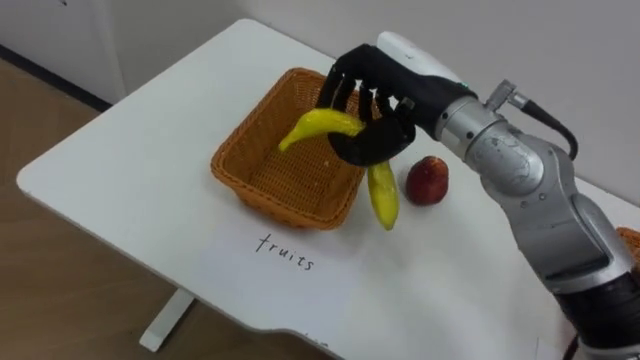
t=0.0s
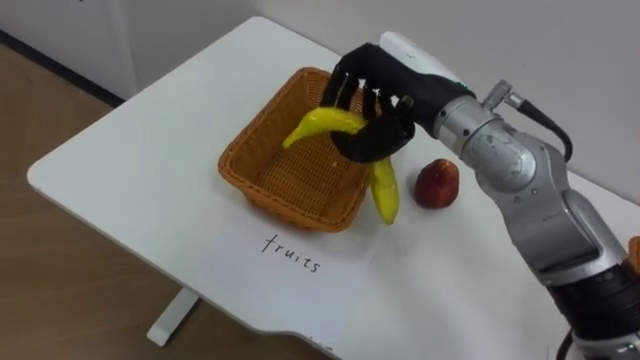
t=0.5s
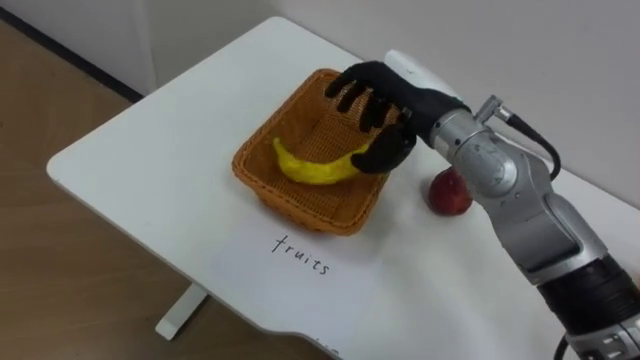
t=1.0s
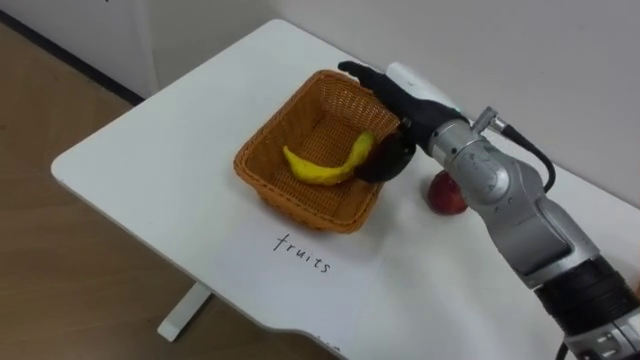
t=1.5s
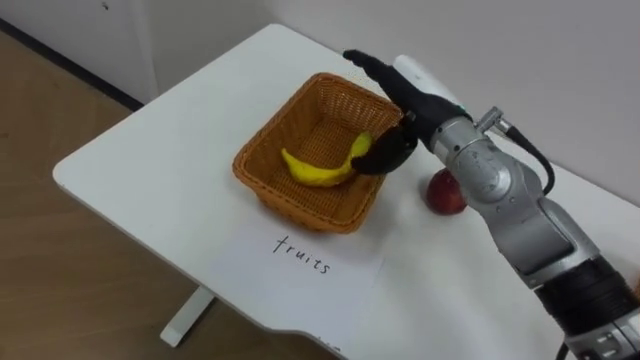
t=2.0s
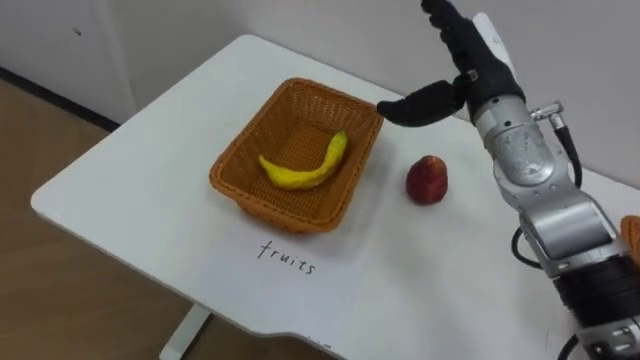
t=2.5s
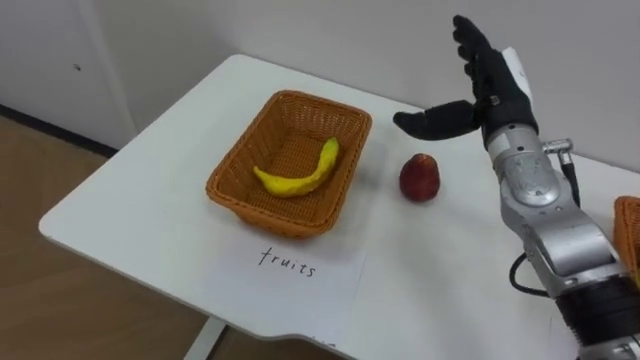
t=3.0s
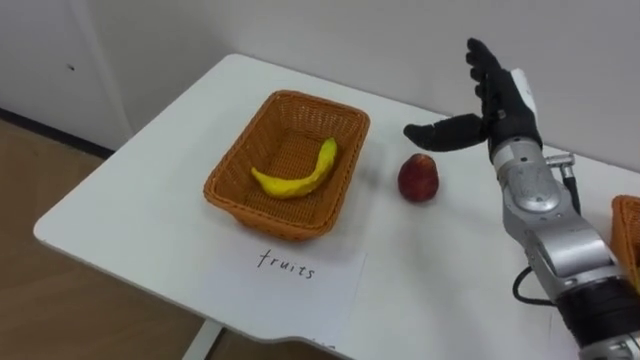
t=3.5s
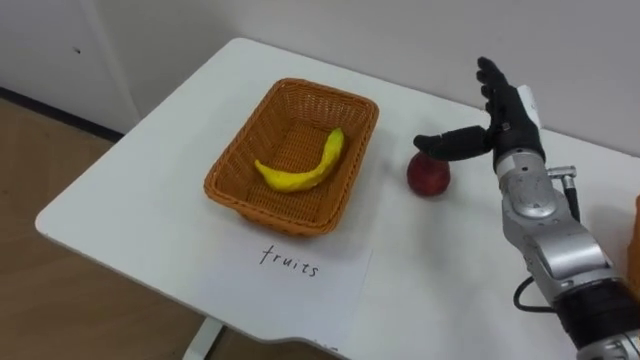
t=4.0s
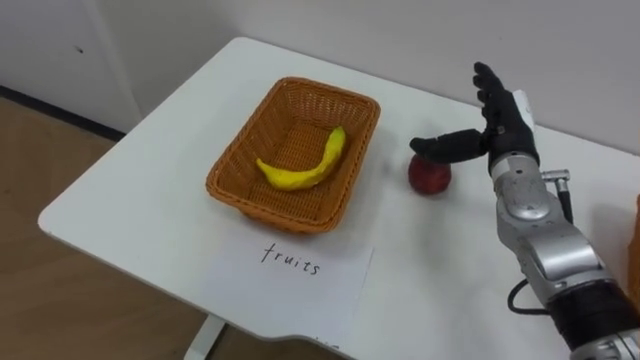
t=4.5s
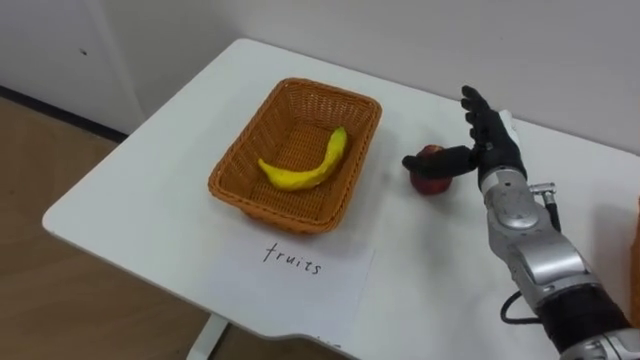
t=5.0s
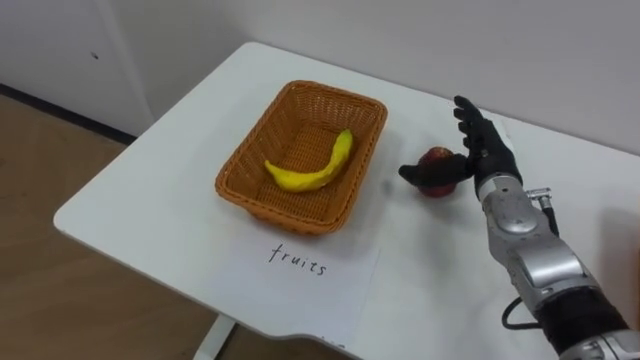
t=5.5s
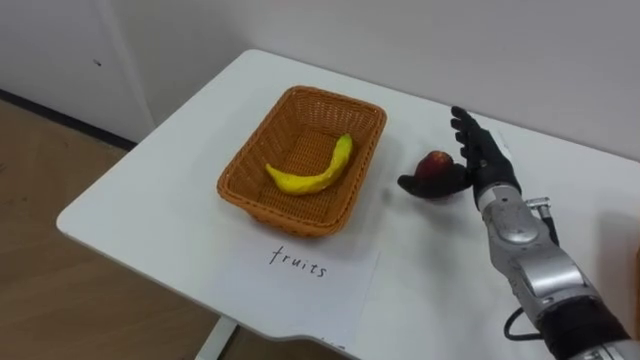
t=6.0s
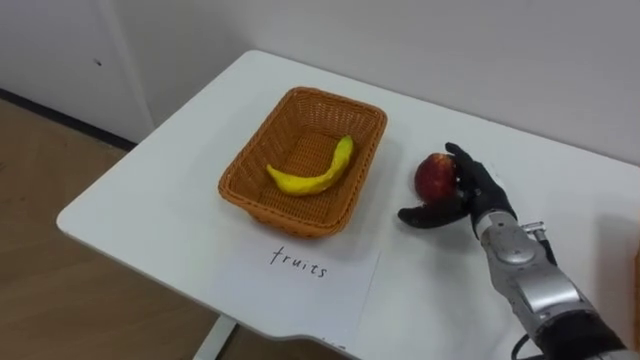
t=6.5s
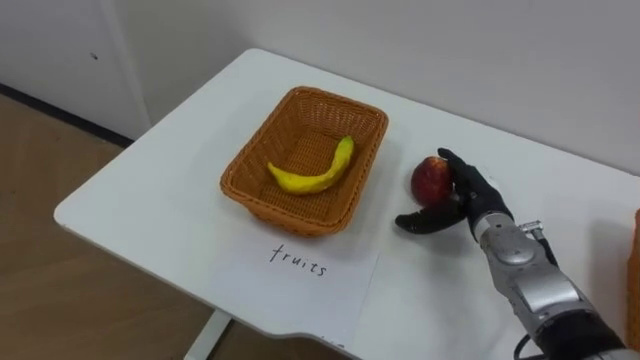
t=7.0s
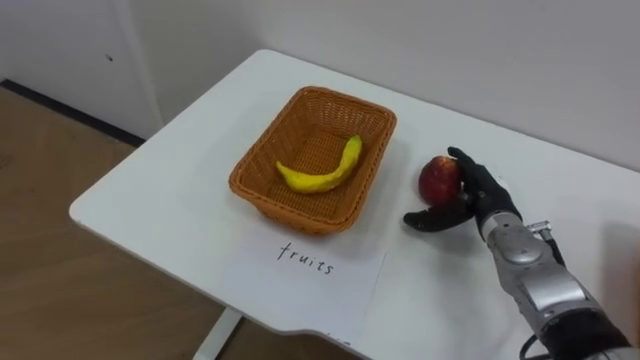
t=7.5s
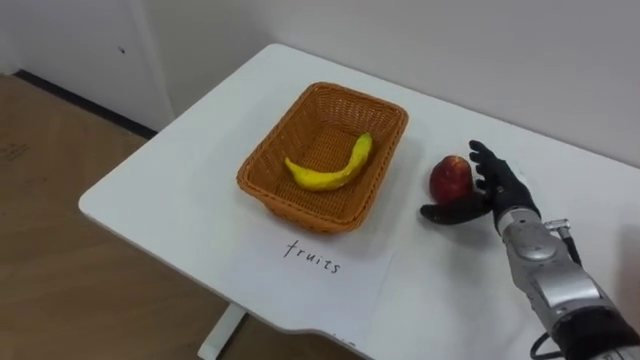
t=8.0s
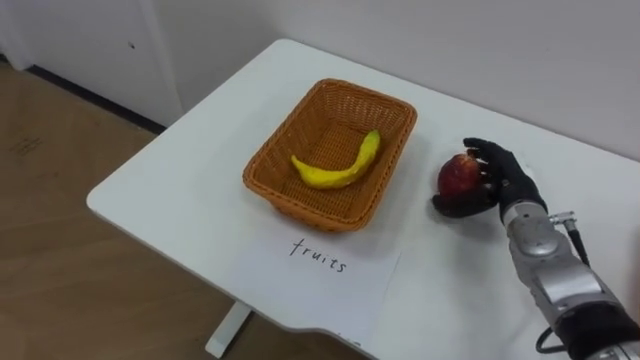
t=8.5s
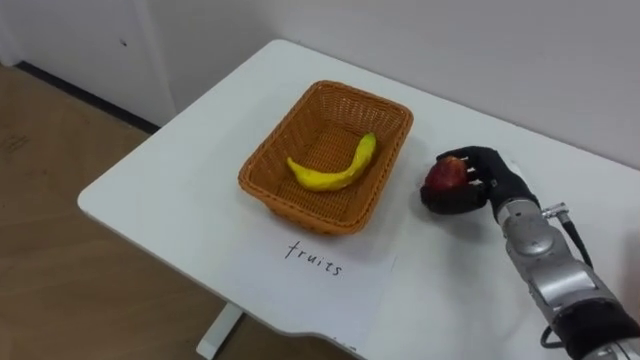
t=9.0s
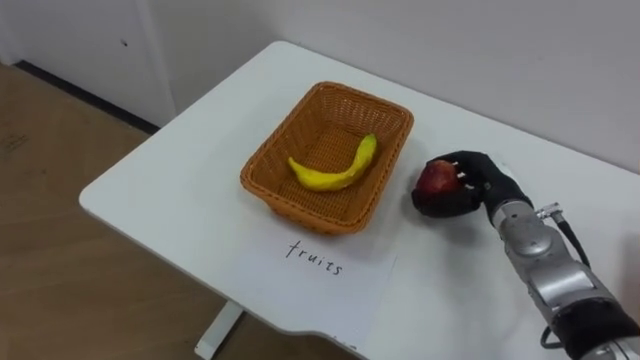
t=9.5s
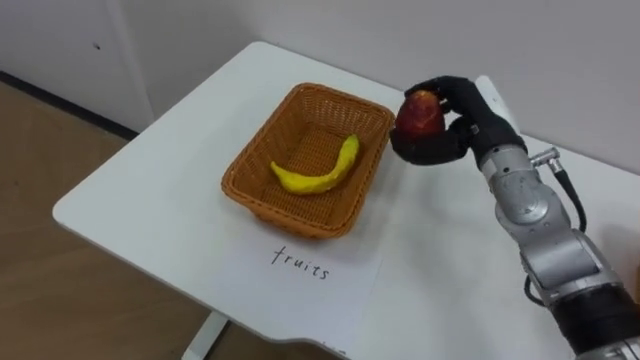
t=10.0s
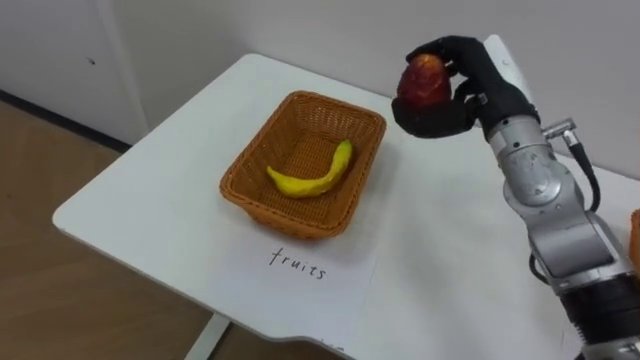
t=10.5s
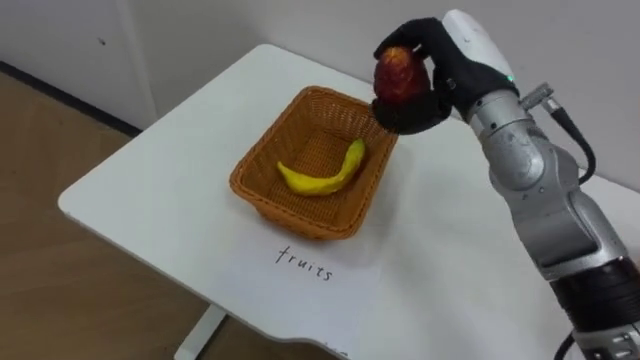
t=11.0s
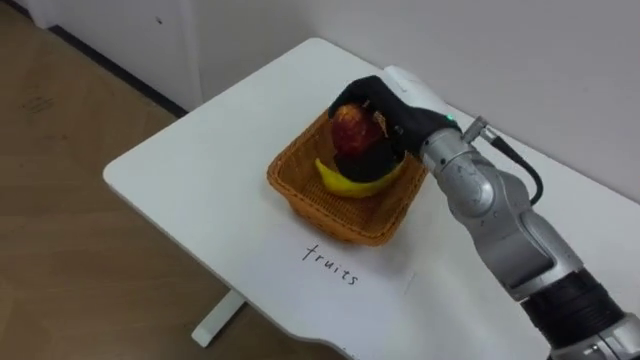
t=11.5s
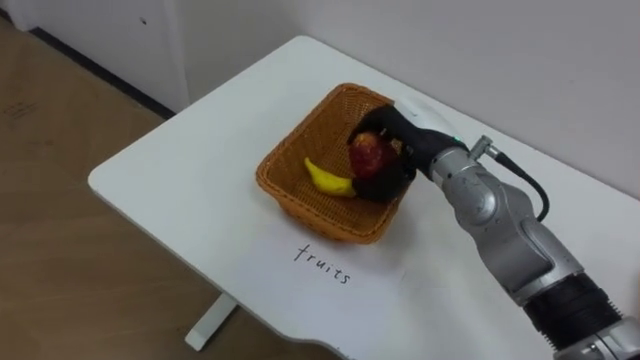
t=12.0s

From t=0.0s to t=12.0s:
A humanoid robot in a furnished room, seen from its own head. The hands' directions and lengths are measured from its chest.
Task of the whole recording: Separate the items on the table and place them into the two baskets.
From t=0.0s to t=2.0s: The right hand changes place by some 5 cm, and opens its fingers.
From t=2.0s to t=4.0s: The right hand heads to the right and downward, covering roughly 15 cm.
From t=4.0s to t=6.0s: The right hand is displaced downward by about 5 cm.
From t=6.0s to t=8.0s: The right hand moves approximately 5 cm.
From t=8.0s to t=10.0s: The right hand heads upward, covering approximately 10 cm, and closes.
From t=10.0s to t=12.0s: The right hand goes roughly 10 cm to the left.

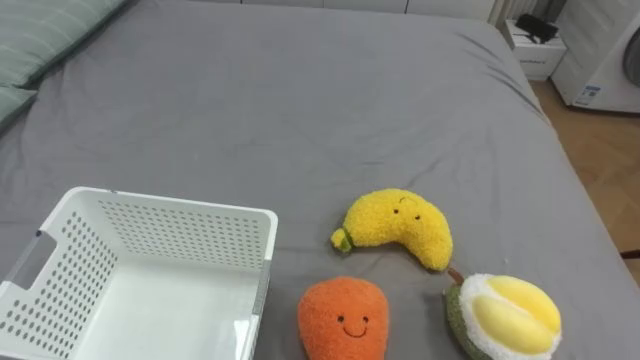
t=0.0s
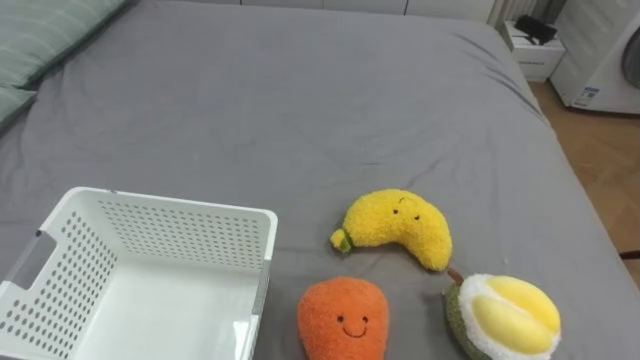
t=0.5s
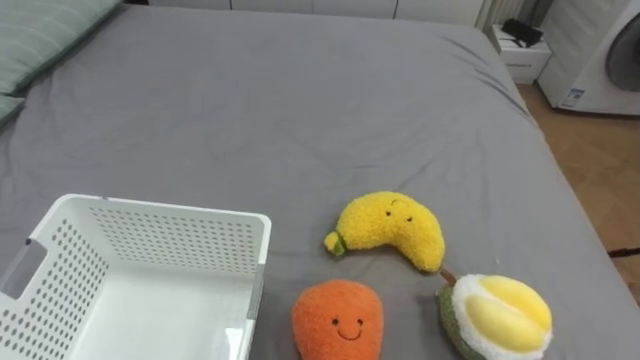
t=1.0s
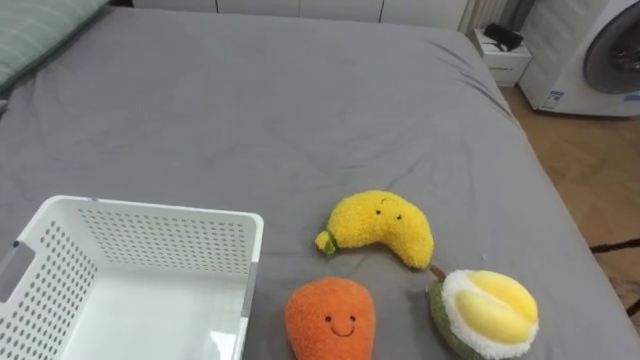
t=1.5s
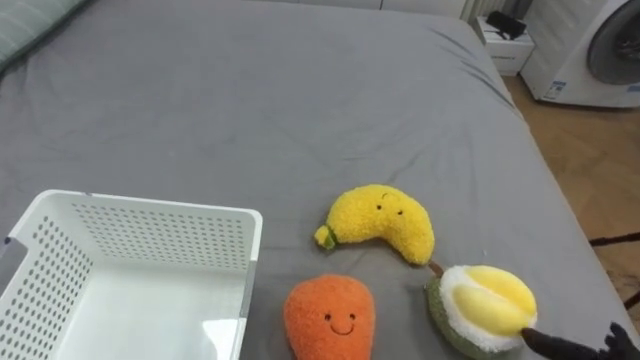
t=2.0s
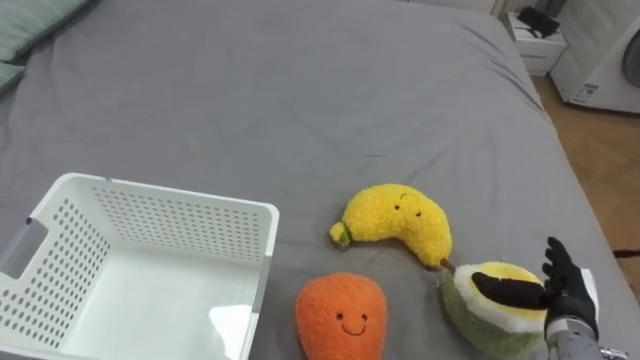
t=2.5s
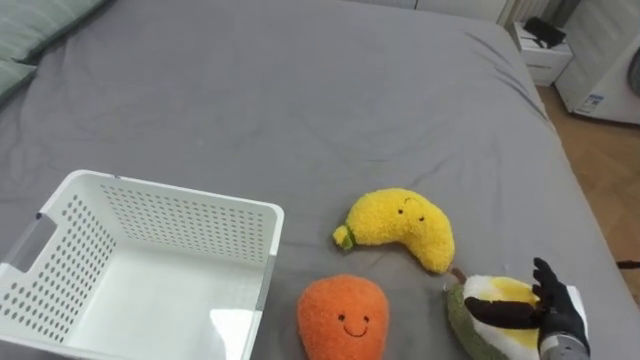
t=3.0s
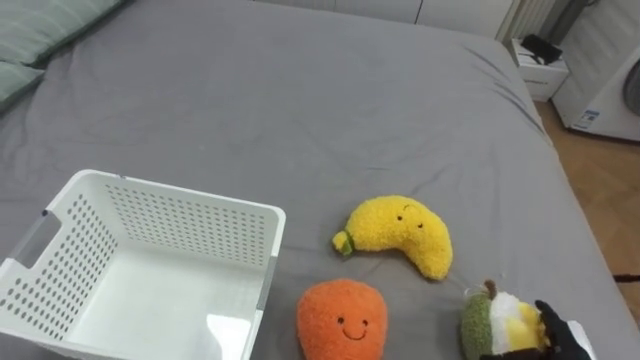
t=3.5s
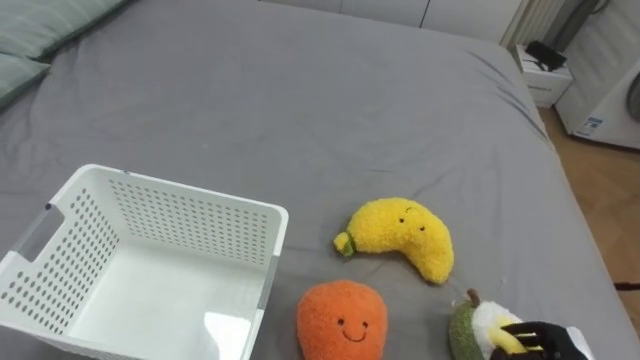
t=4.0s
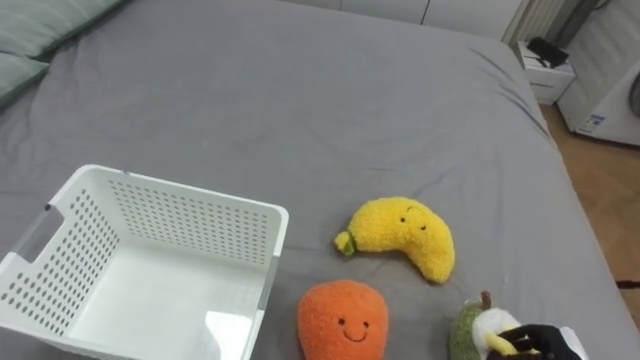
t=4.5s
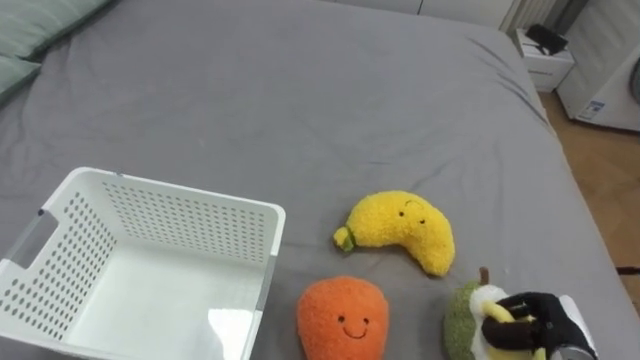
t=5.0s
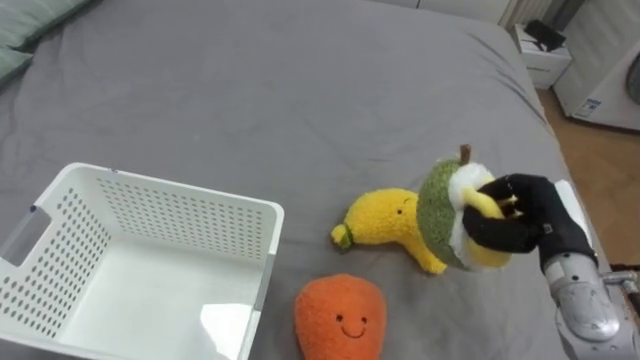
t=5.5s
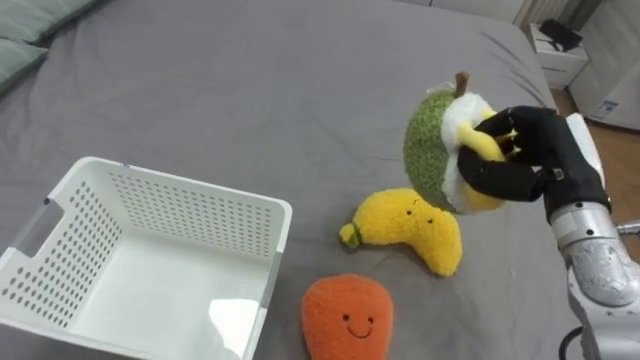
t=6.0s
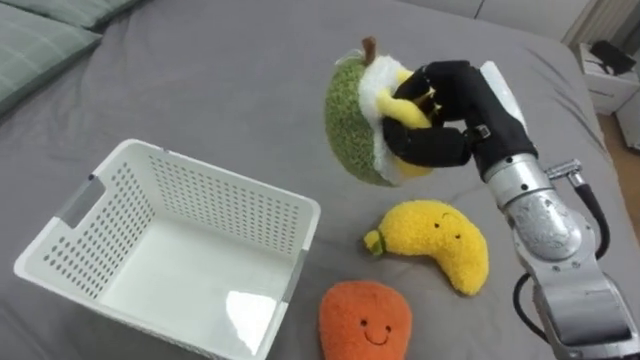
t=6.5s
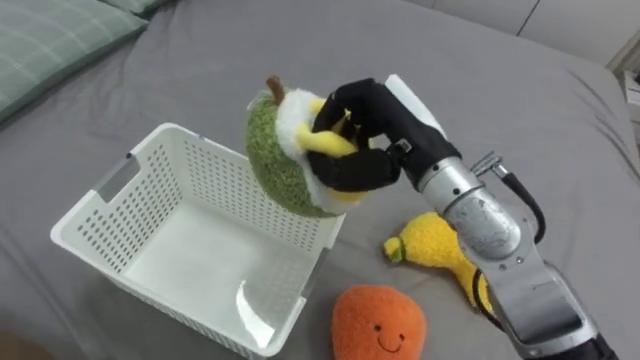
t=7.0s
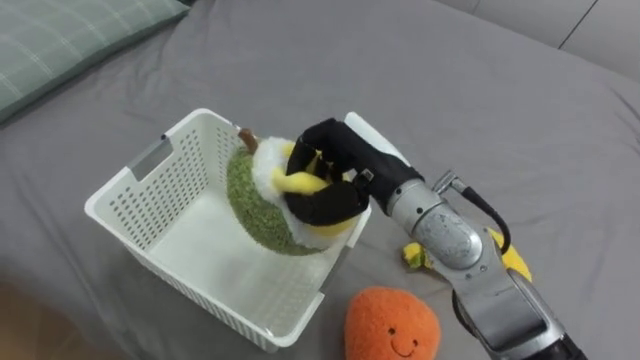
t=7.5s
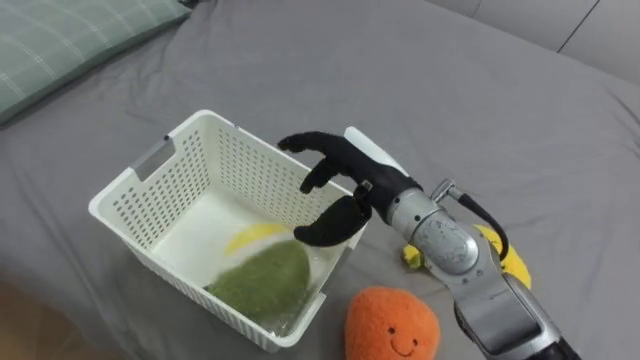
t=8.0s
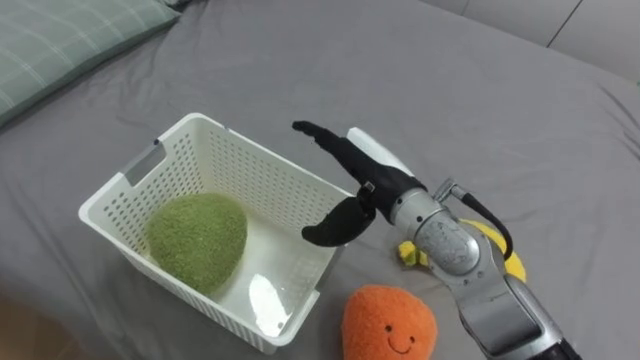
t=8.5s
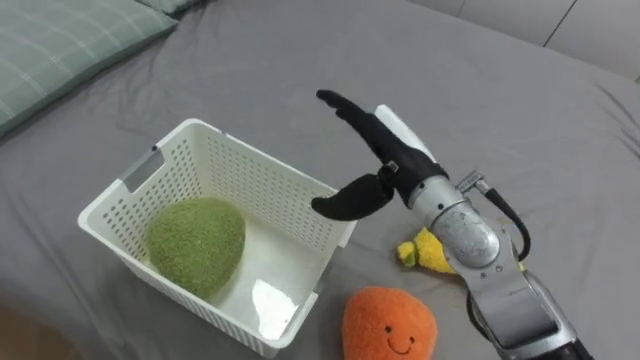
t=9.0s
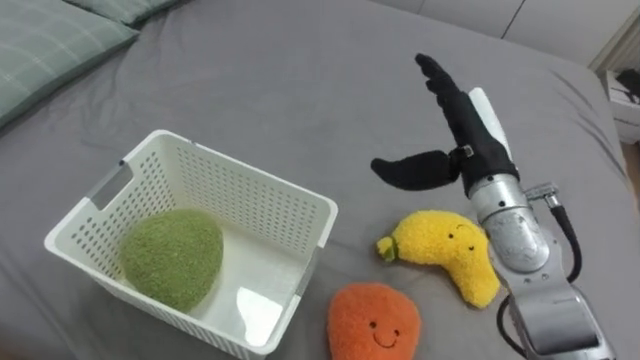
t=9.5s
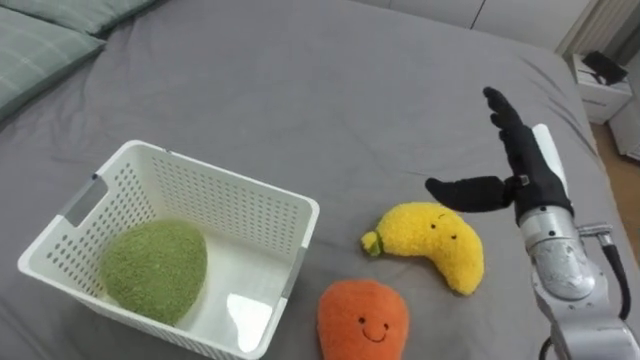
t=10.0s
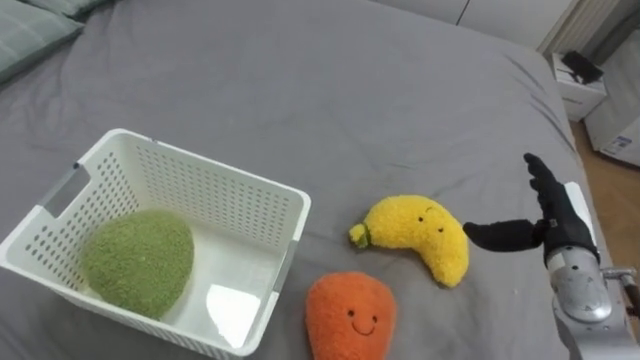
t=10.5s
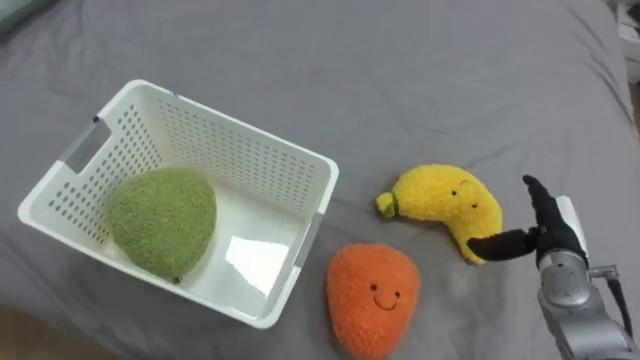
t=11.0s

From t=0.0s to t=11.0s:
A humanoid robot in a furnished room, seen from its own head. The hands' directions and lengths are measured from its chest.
Task of the whole recording: Put the toys on the bed into the basket on the left.
From t=5.5s to t=7.5s: The right hand goes roughly 25 cm to the left.
From t=7.5s to t=9.0s: The right hand opens.
From t=9.0s to t=11.0s: The right hand is displaced to the right and downward by roughly 25 cm.
